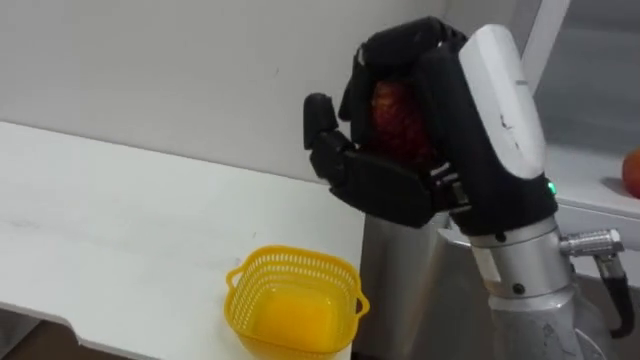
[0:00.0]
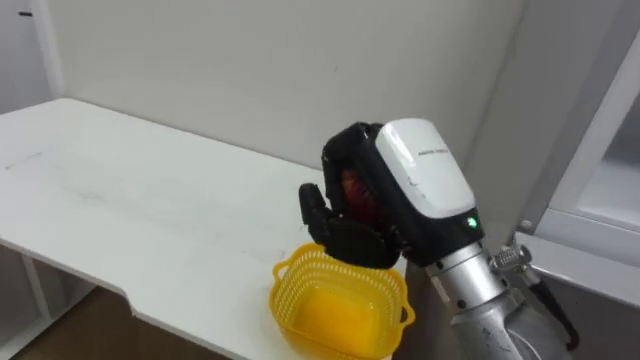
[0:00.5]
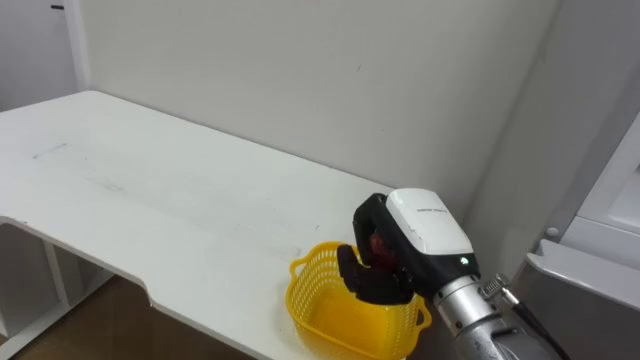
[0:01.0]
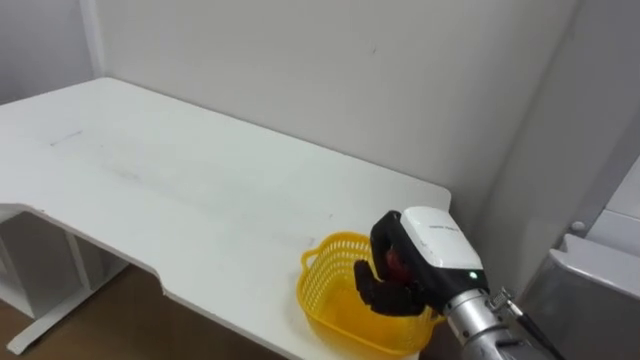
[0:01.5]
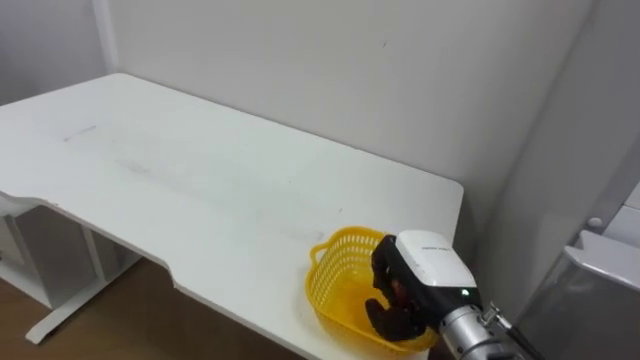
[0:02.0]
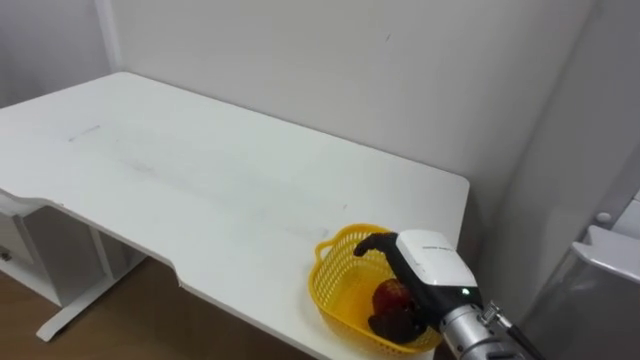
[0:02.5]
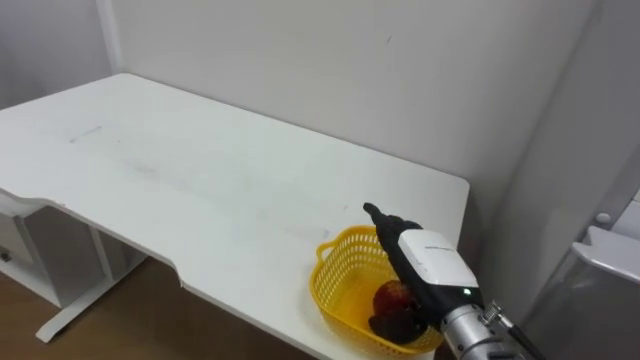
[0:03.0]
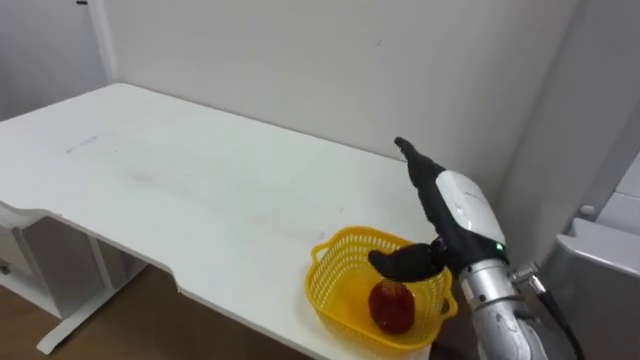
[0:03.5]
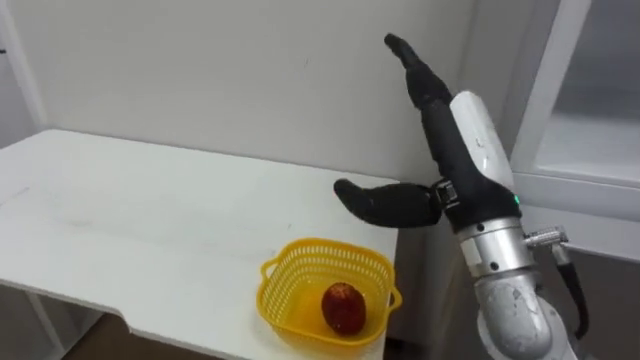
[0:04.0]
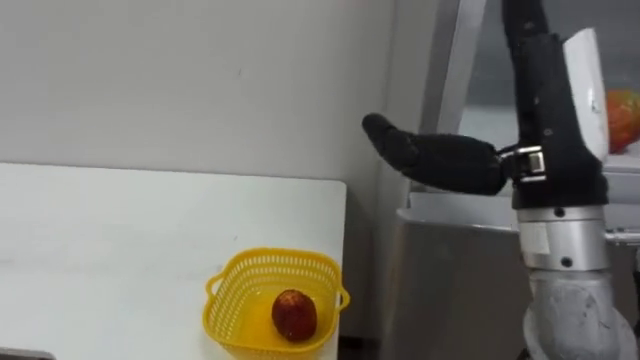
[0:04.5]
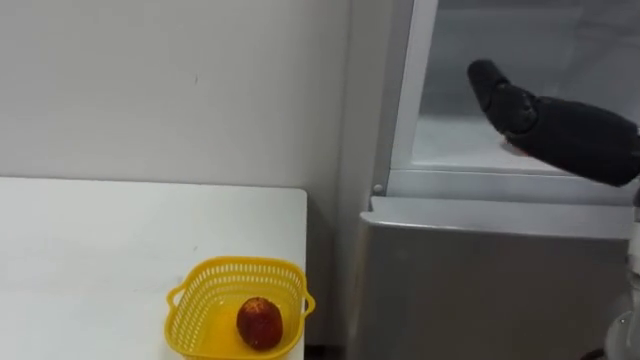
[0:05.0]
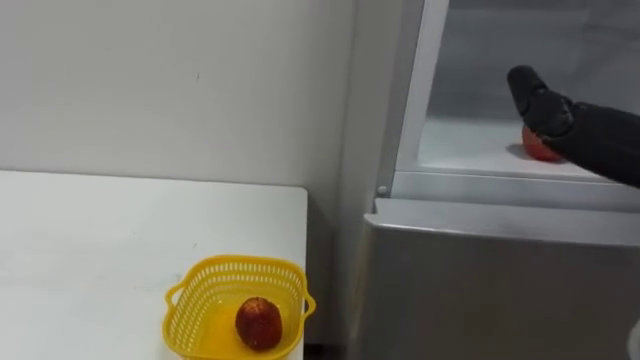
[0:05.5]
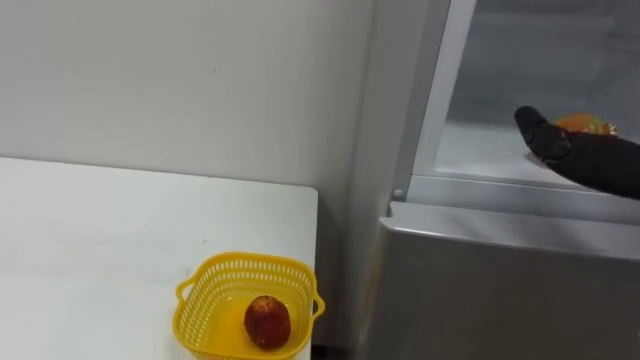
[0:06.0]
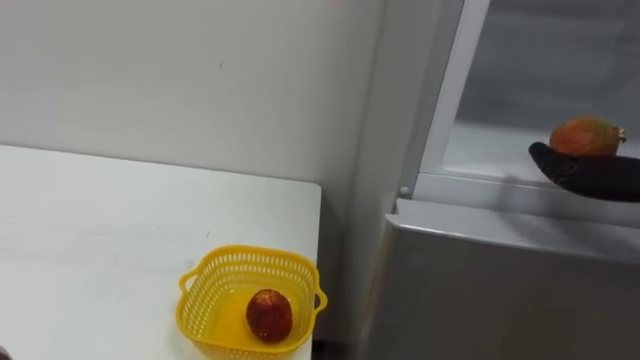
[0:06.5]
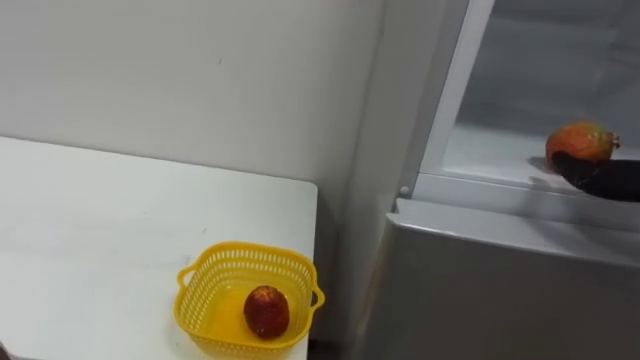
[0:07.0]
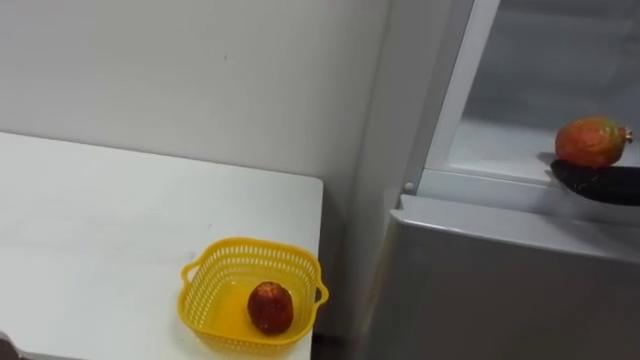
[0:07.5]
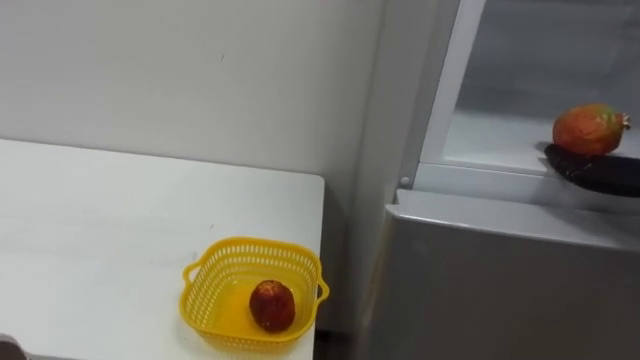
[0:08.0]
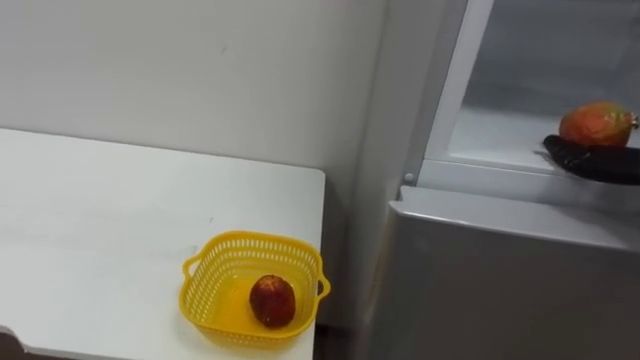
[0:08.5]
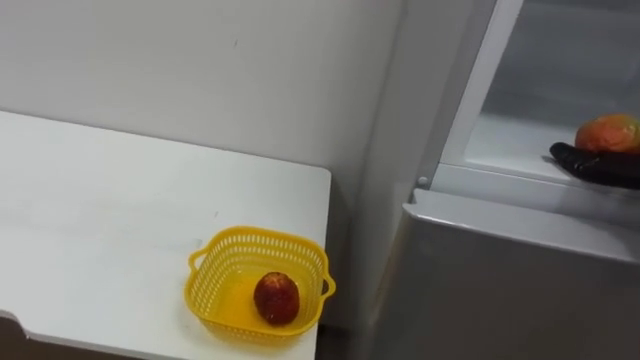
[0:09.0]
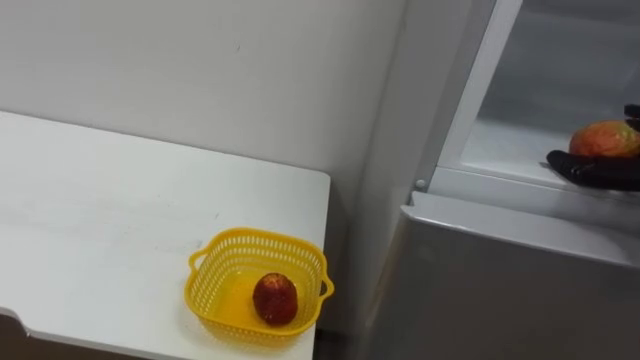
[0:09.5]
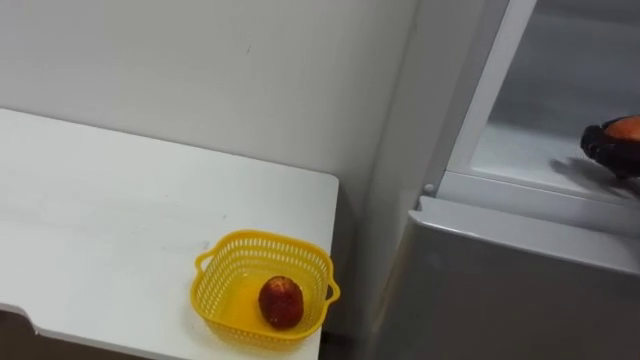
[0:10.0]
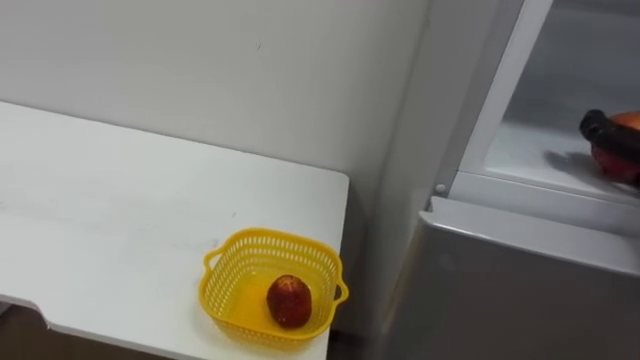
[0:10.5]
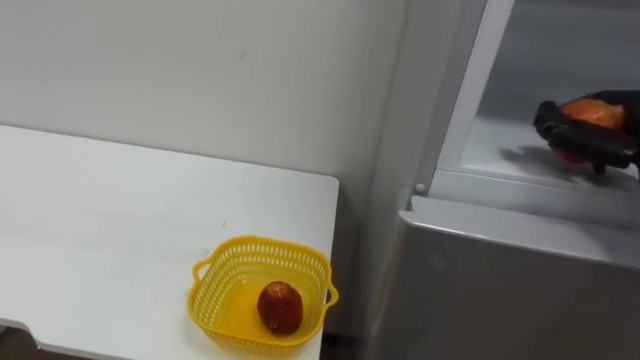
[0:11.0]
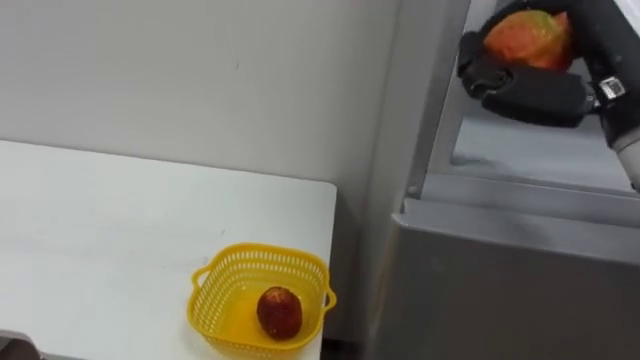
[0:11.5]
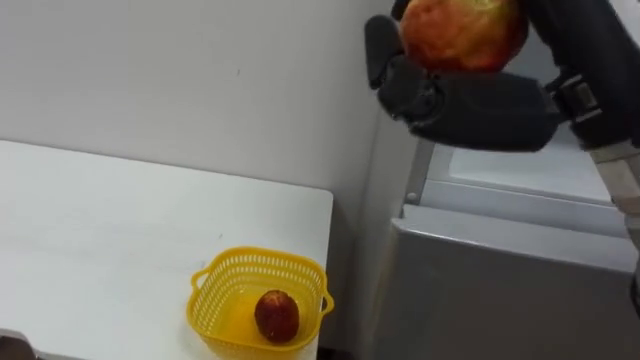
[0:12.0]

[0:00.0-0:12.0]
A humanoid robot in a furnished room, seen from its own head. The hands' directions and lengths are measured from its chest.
Task of the whole recording: Open the refrigerator door, take out the apple and the pomegranate, place them in the fruit basket on the left, and close the refrigerator door.
0:00.0 to 0:02.0: The right hand heads downward and forward, covering approximately 25 cm.
0:02.0 to 0:04.0: The right hand is displaced upward by roughly 15 cm, and opens.

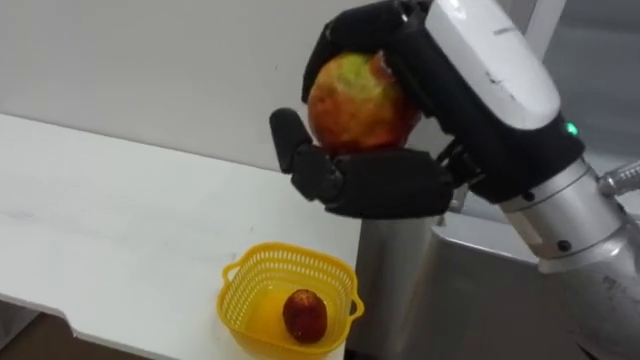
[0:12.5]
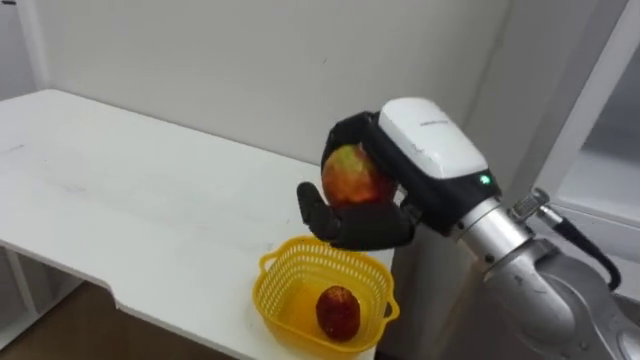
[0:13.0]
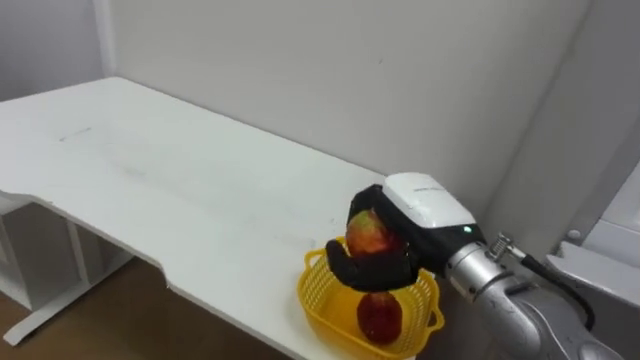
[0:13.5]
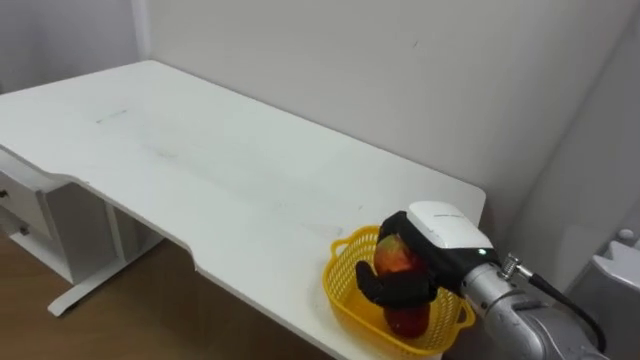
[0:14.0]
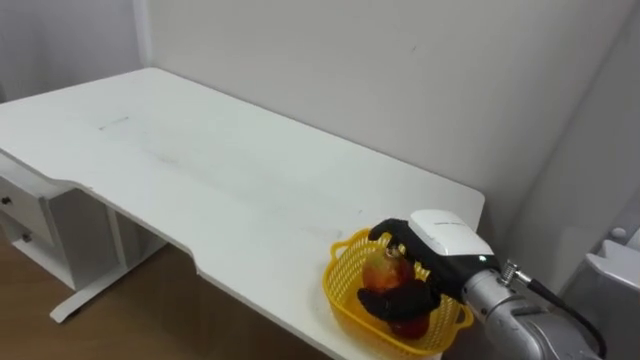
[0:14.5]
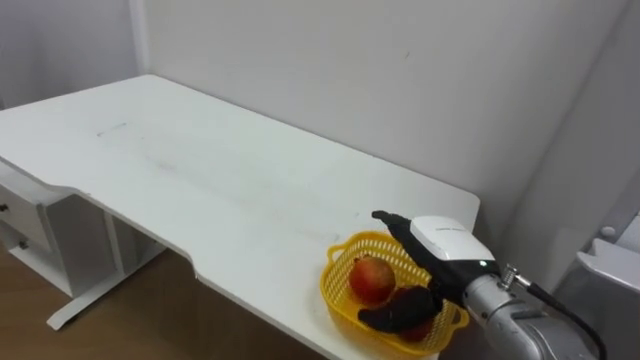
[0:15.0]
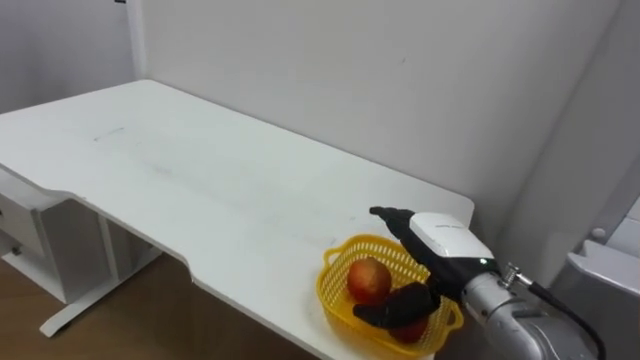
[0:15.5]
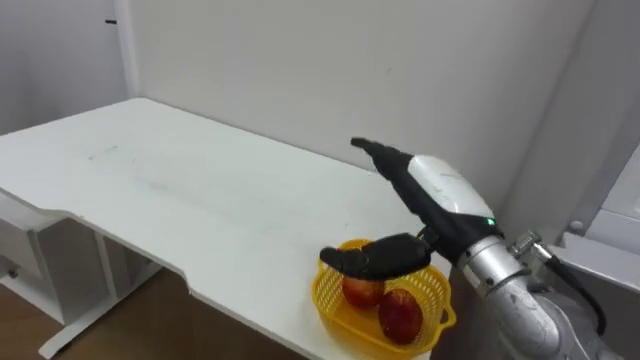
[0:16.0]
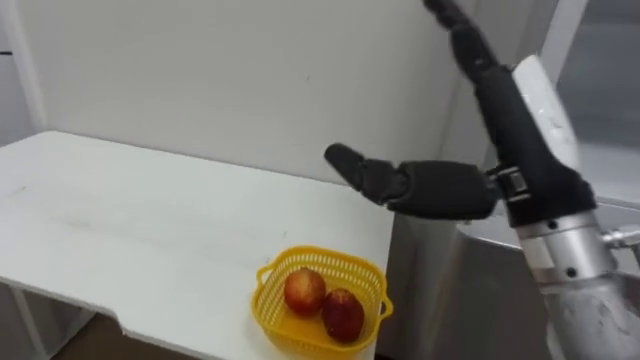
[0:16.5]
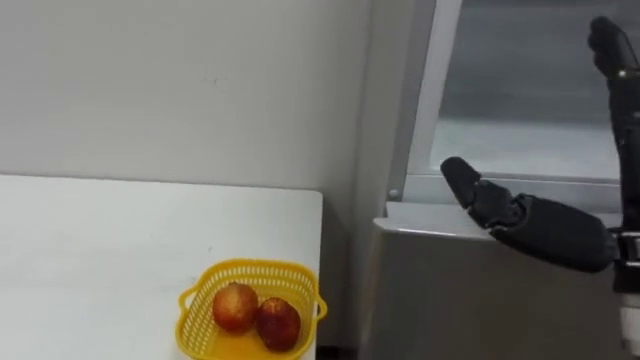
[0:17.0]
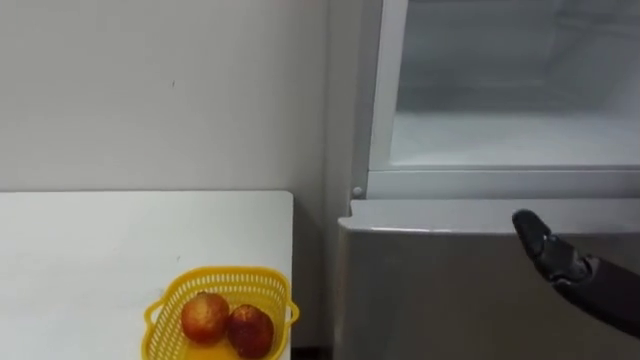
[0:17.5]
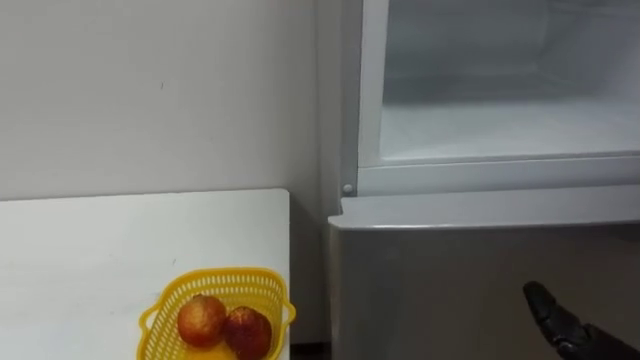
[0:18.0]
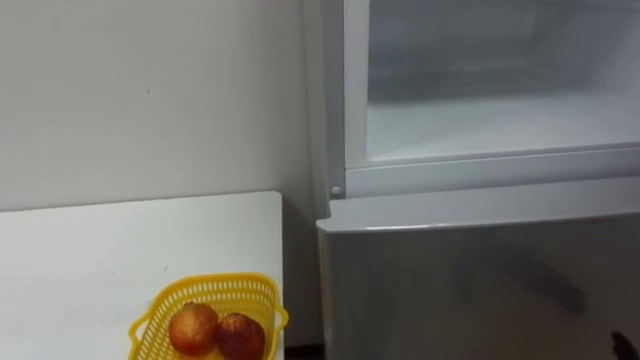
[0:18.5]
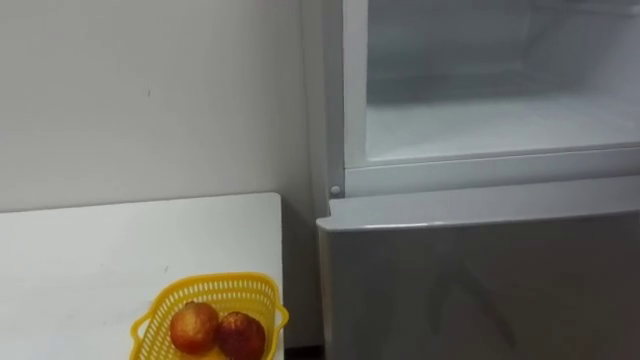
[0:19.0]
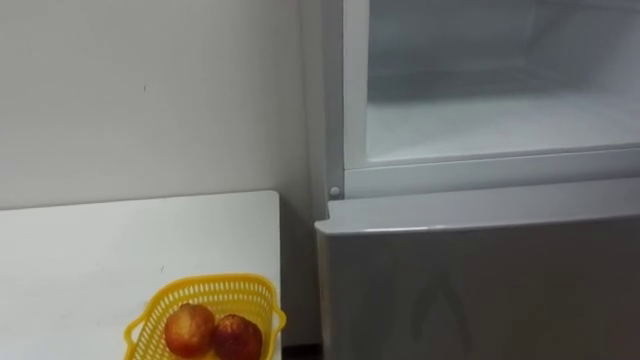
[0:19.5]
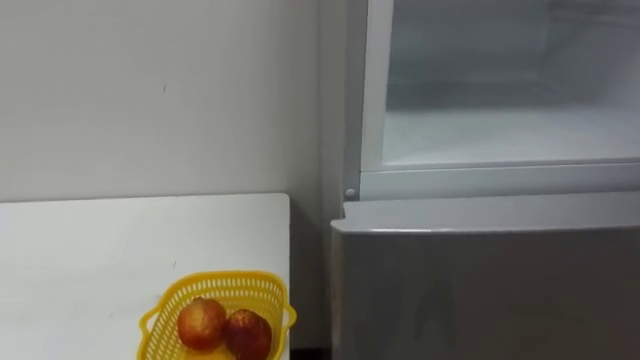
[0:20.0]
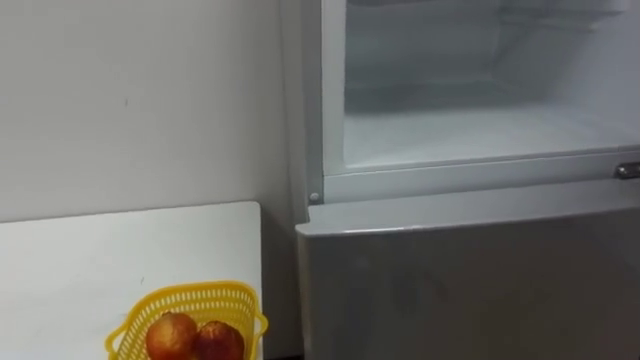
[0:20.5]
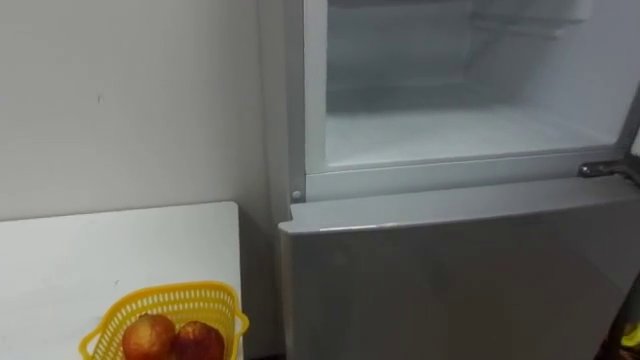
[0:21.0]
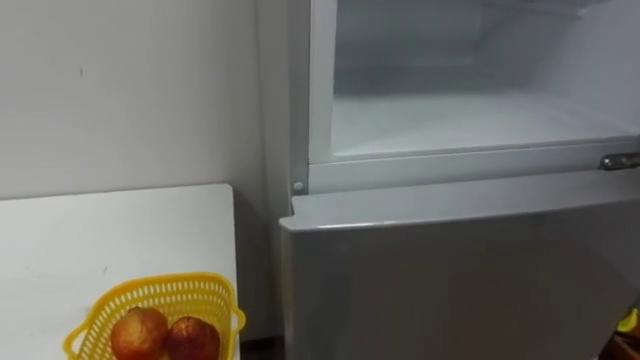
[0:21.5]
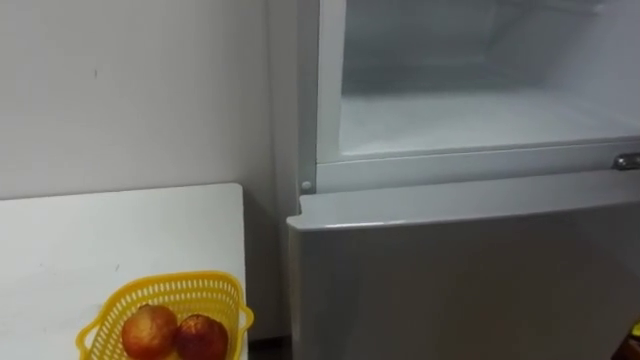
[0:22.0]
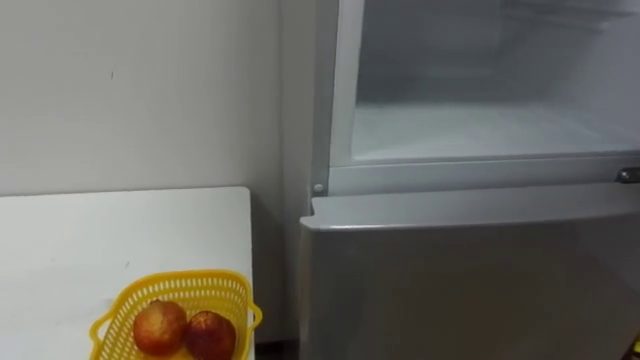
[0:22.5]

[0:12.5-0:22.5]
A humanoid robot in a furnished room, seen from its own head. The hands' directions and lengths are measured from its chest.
Task of the whole recording: Open the refrigerator door, take out the apple and the pomegranate, place them in the fruit basket on the left, and close the refrigerator door.
0:12.5 to 0:14.5: The right hand is displaced downward and forward by about 25 cm.
0:14.5 to 0:16.5: The right hand is displaced upward and backward by roughly 20 cm, and opens up.
